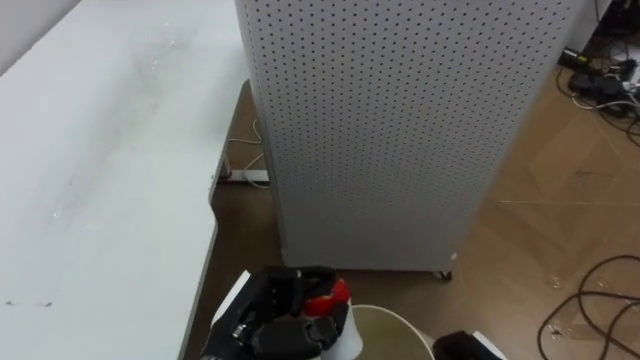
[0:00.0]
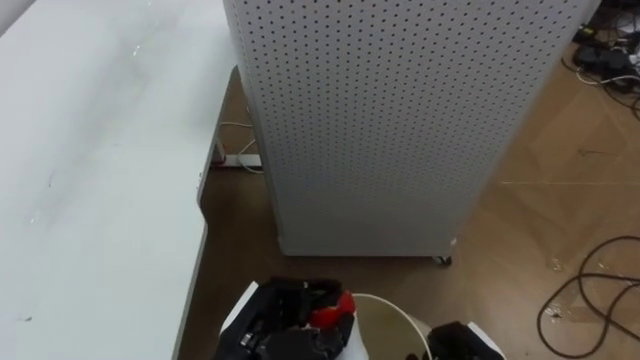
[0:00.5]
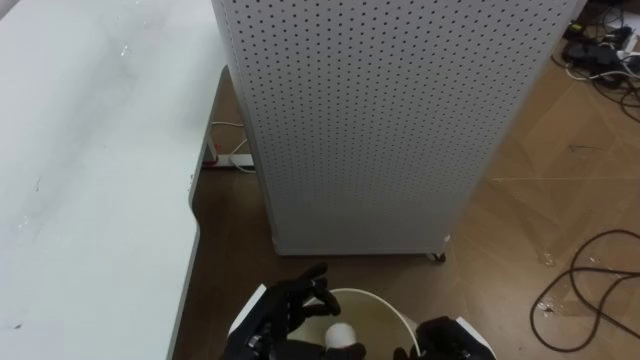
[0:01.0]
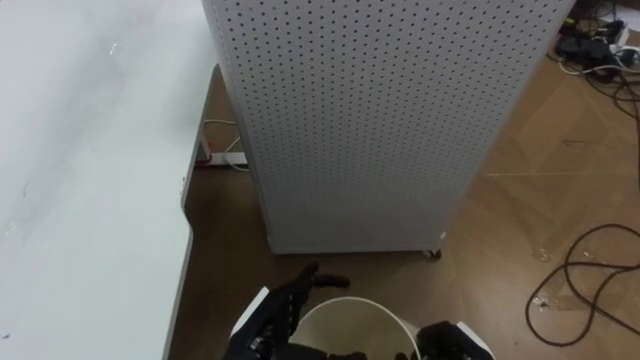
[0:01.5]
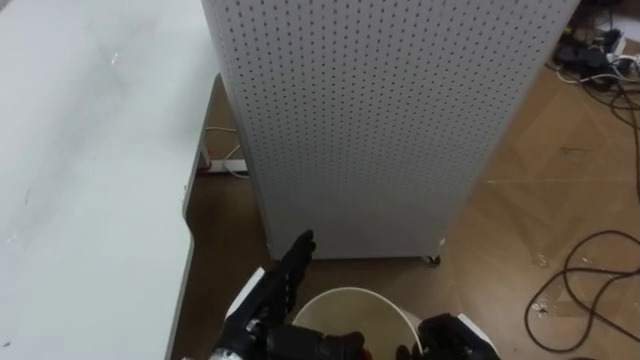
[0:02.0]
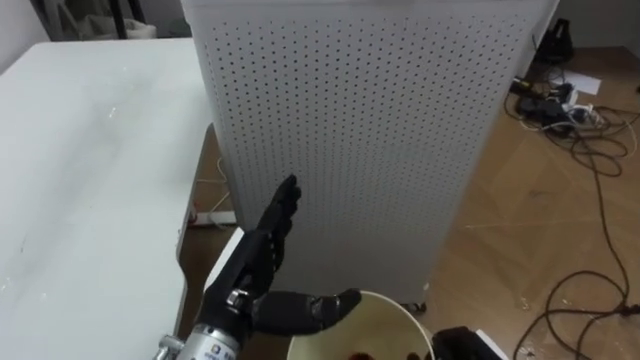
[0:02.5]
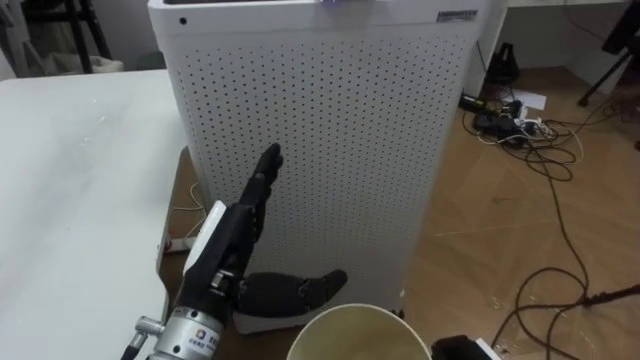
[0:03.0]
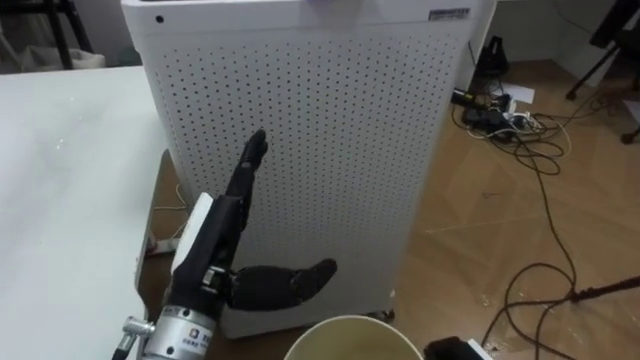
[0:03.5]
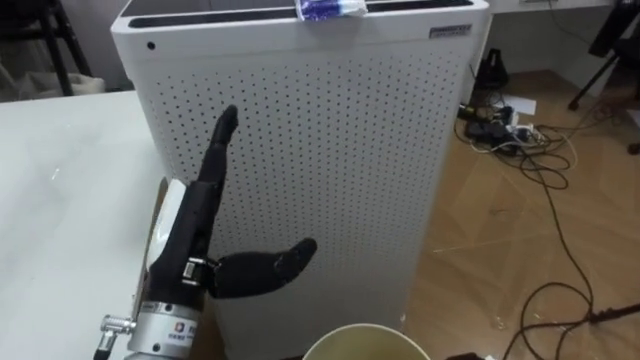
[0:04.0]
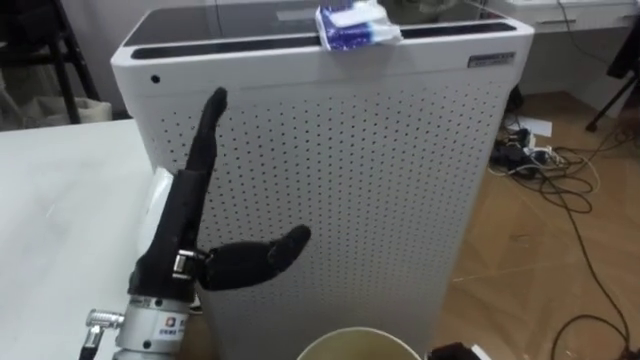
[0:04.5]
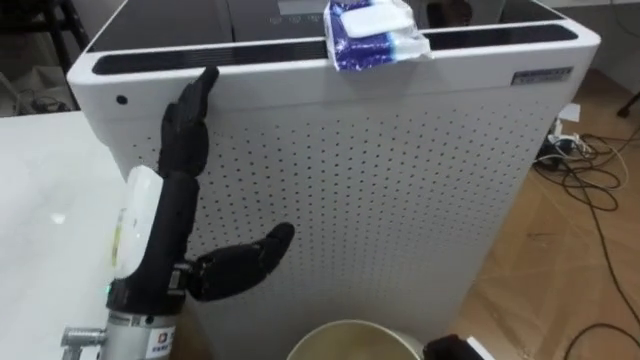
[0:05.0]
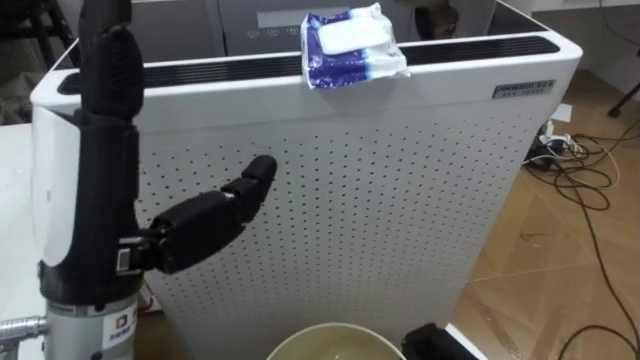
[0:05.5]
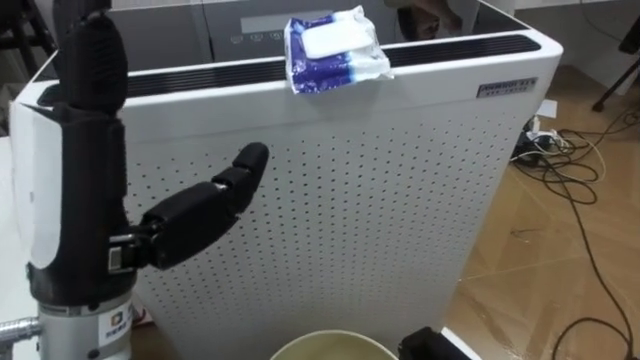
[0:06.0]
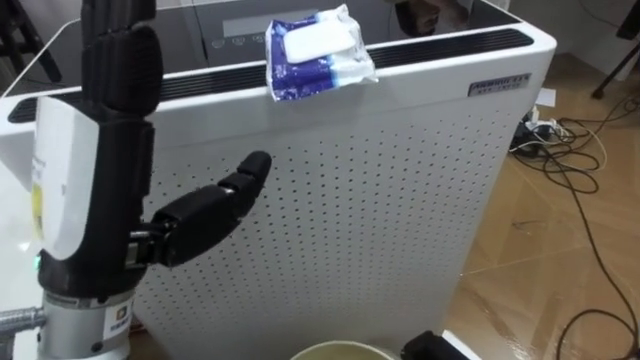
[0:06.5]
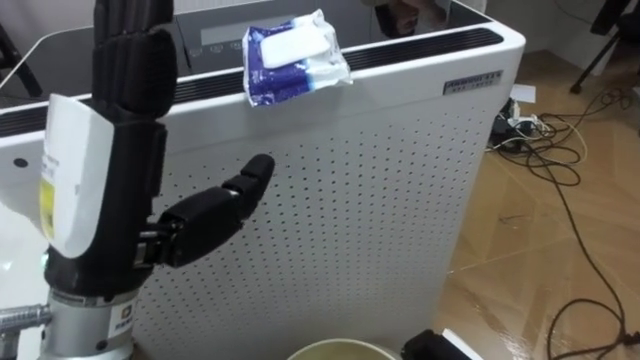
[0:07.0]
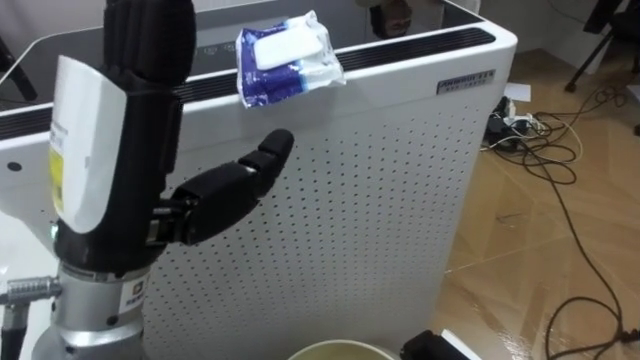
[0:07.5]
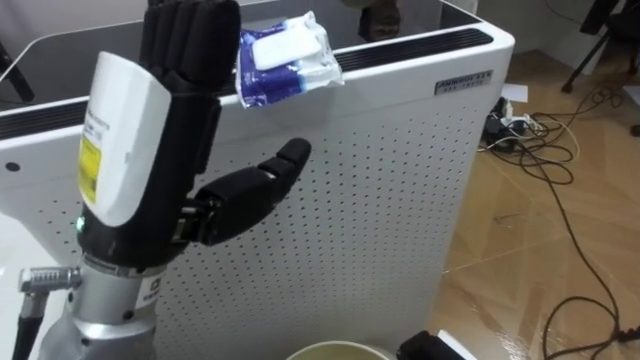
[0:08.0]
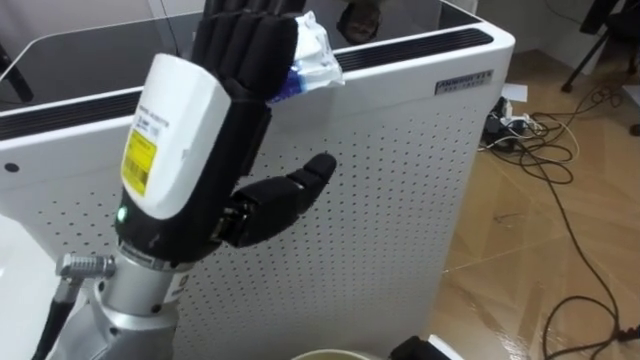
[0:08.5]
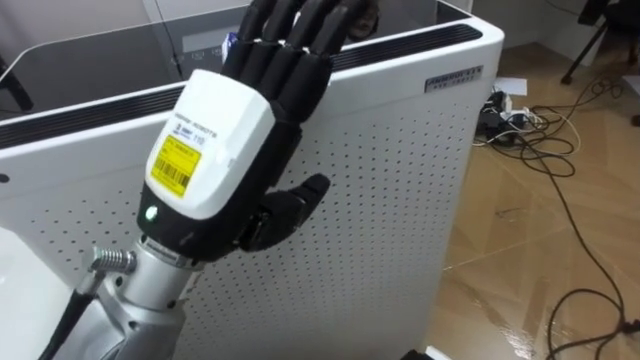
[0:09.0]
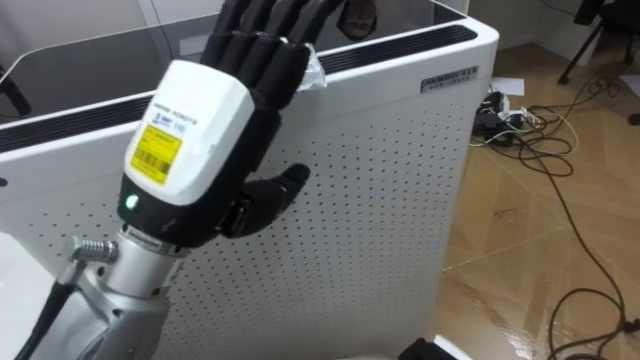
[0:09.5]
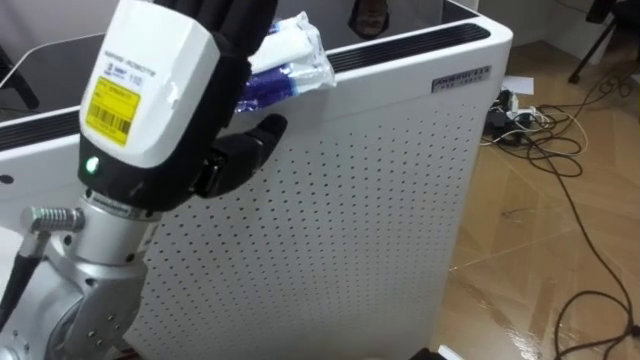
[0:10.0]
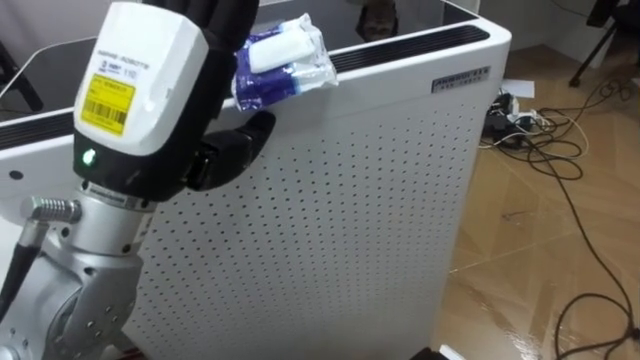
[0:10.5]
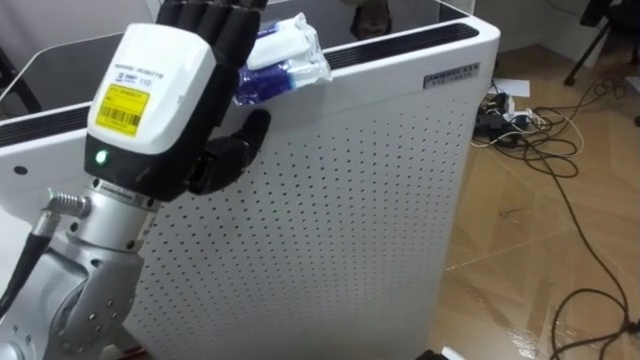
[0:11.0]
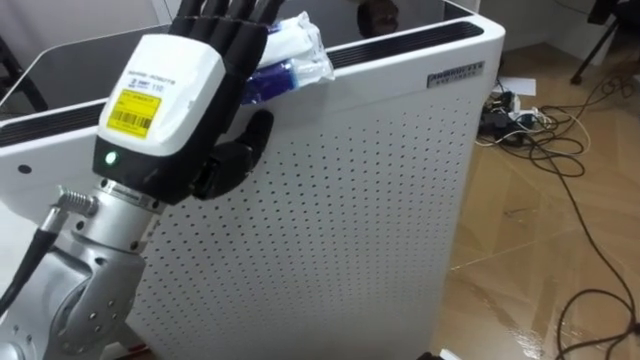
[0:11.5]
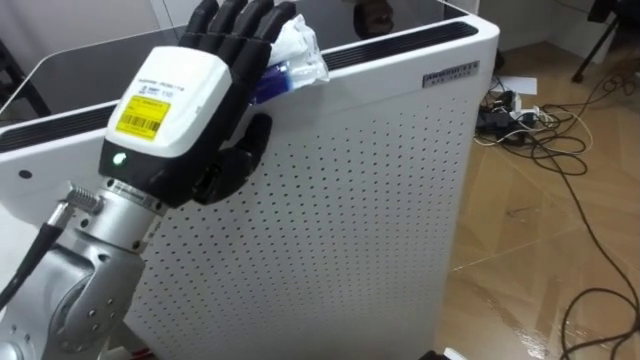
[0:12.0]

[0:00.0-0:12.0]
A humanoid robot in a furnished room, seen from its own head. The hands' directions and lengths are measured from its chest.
Task of the whole recording: Pick up the light blue package, the candy box, and the dark blue package separately, and put them into the trash can held in your right hand.
0:00.0 to 0:02.0: The left hand opens up.
0:02.0 to 0:04.0: The left hand goes about 15 cm upward and to the left.
0:04.0 to 0:06.0: The left hand heads upward and backward, covering roughly 15 cm.
0:10.0 to 0:12.0: The left hand shifts by about 5 cm.

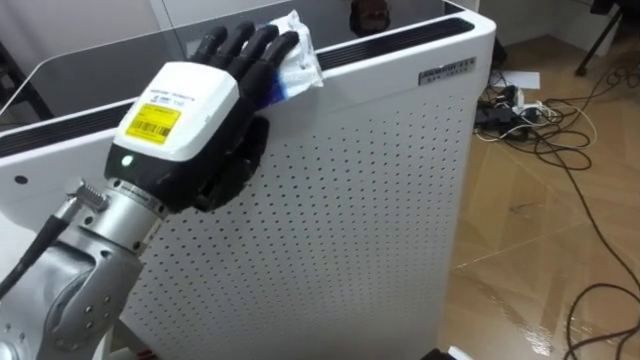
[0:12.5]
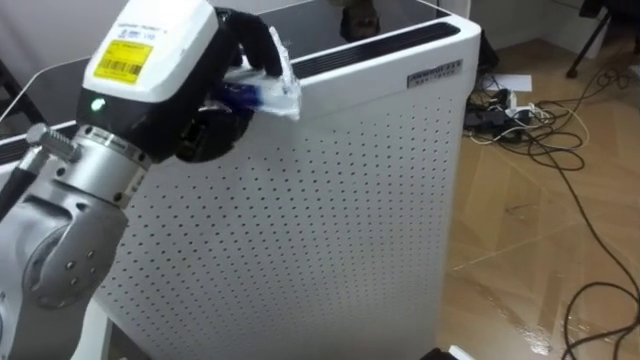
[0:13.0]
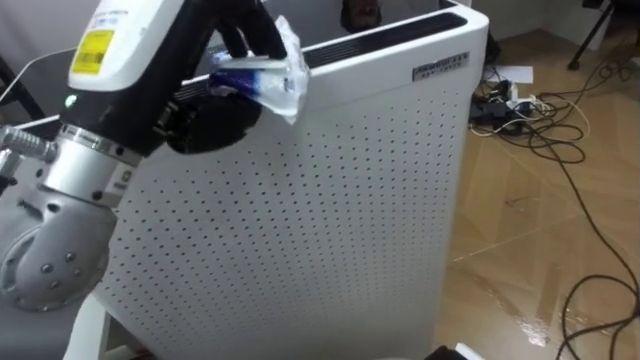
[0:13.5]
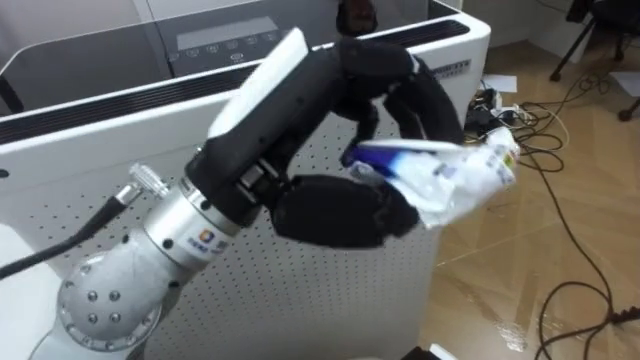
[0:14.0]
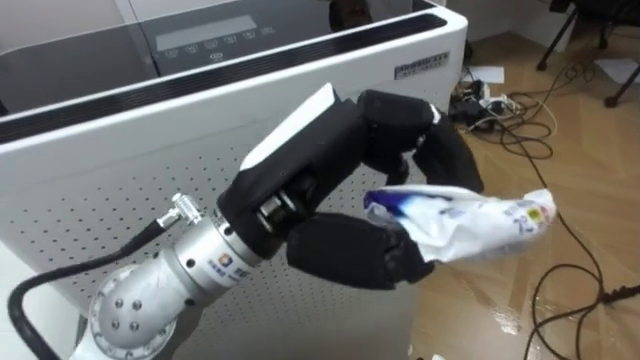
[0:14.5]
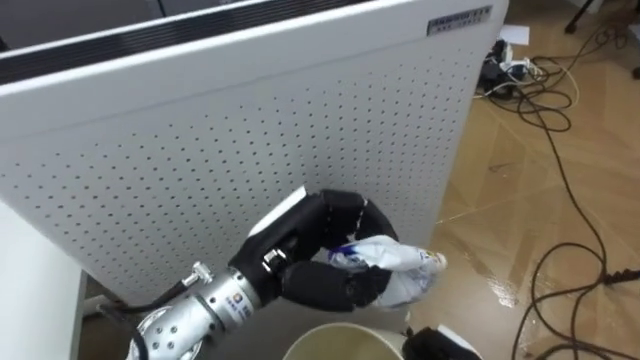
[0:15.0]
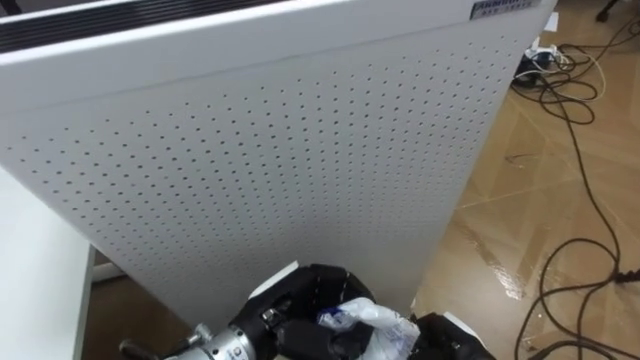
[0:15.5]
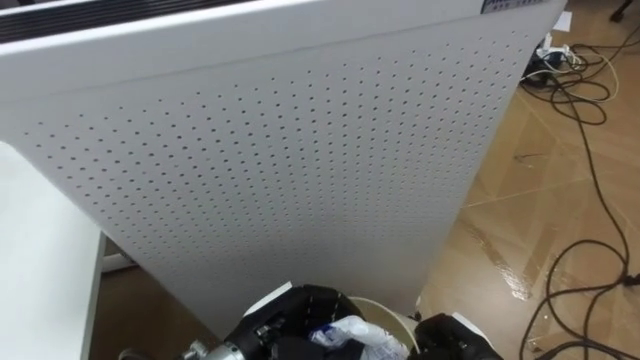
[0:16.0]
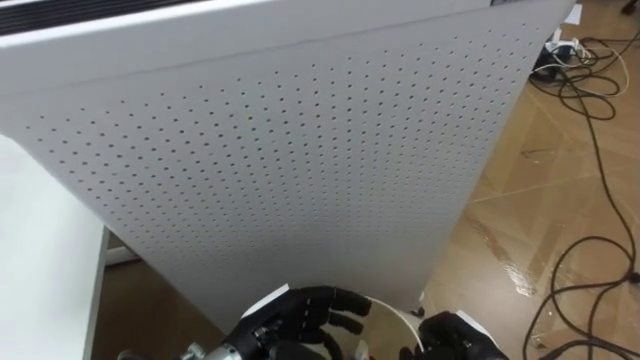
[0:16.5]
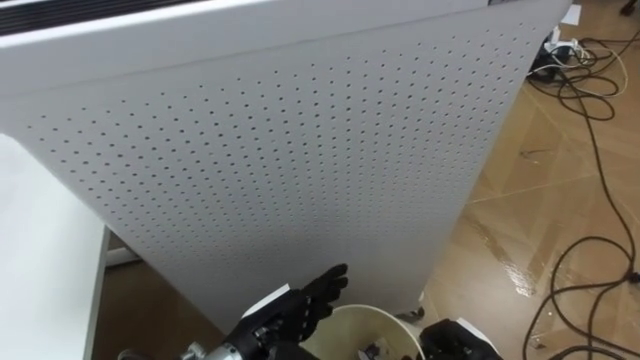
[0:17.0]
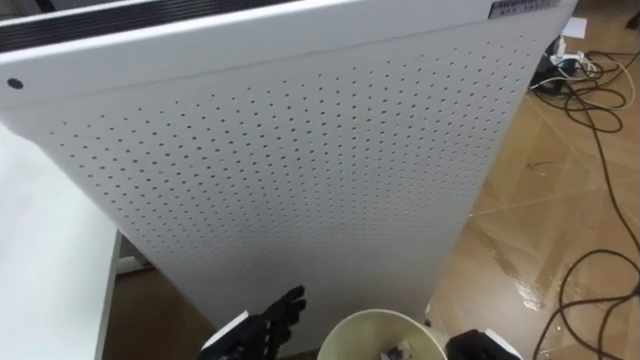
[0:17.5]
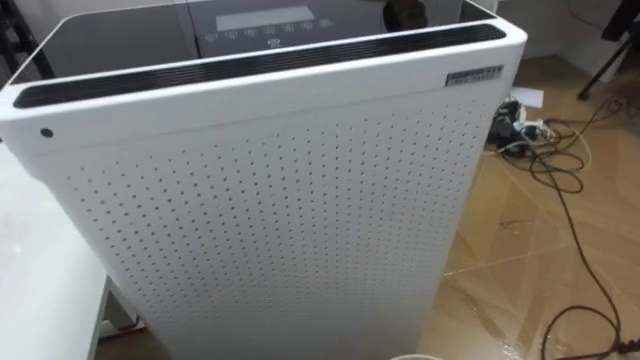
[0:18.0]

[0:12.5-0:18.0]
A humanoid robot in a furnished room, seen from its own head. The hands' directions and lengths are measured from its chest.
Task of the whole recording: Pick up the light blue package, the candy box, and the dark blue package separately, and put them into the trash can held in your right hand.
0:12.5 to 0:14.5: The left hand is displaced to the right and backward by roughly 10 cm, and closes its fingers.
0:14.5 to 0:16.0: The left hand moves downward, about 25 cm.

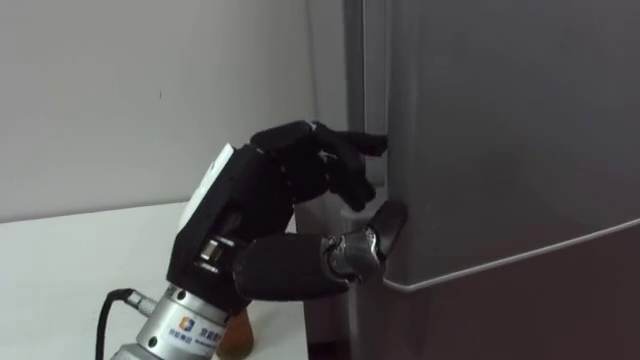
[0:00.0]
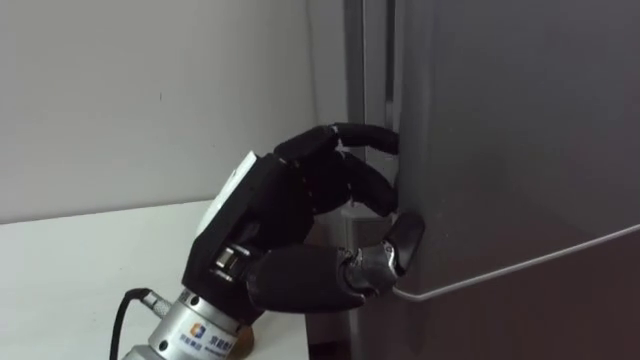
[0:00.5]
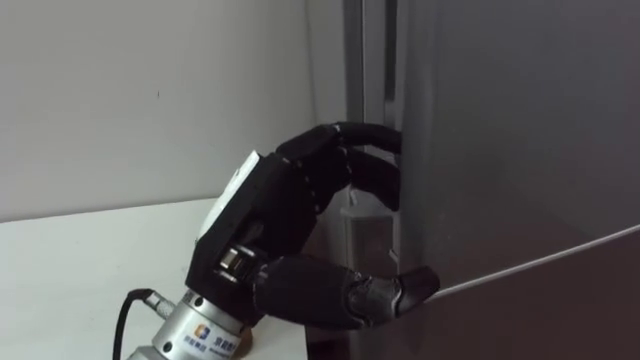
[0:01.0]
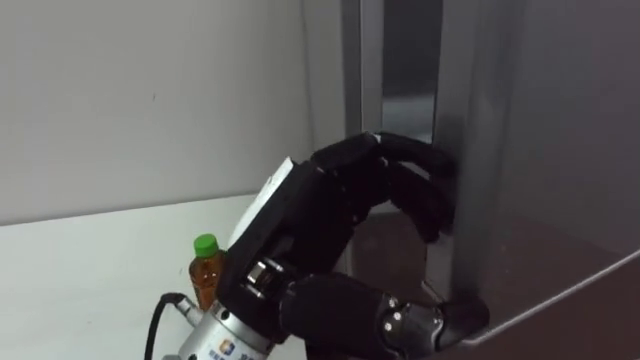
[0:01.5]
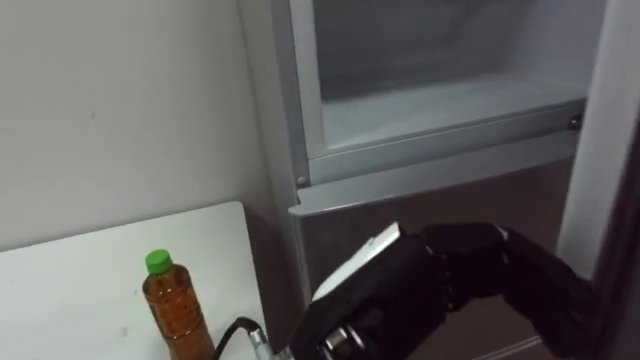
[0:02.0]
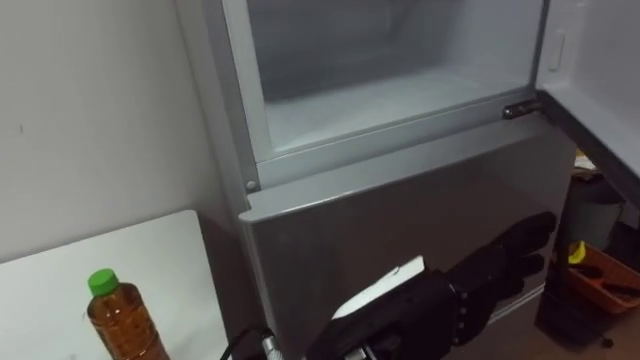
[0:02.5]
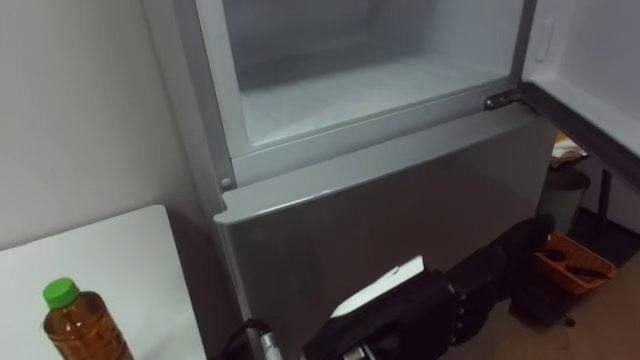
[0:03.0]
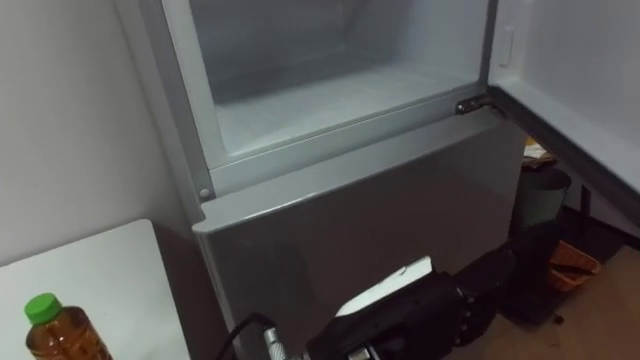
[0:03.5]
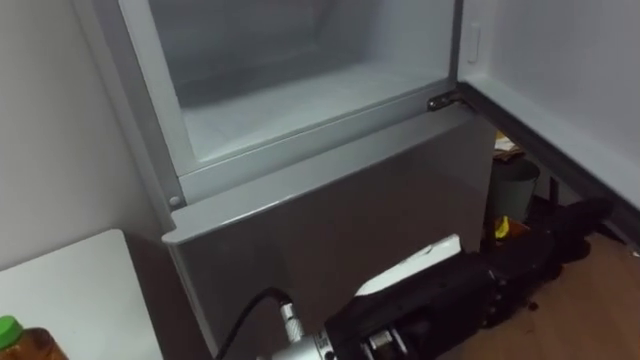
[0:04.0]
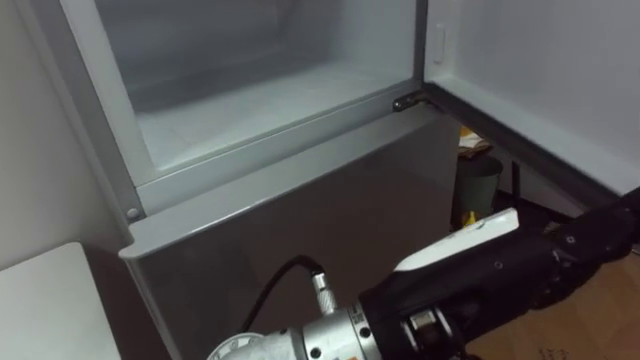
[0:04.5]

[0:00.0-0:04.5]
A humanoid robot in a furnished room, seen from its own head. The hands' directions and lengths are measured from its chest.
Task of the whole recording: Open the upper refrigerator door, put the drink from the table into the refrigerator, and then close the refrigerator door.
0:00.0 to 0:02.0: The left hand heads to the right and backward, covering some 10 cm, and opens its fingers.
0:02.0 to 0:04.5: The left hand shifts by about 5 cm.
